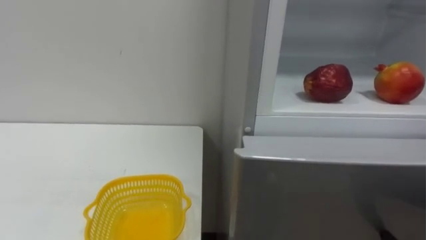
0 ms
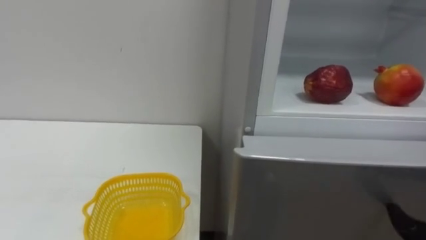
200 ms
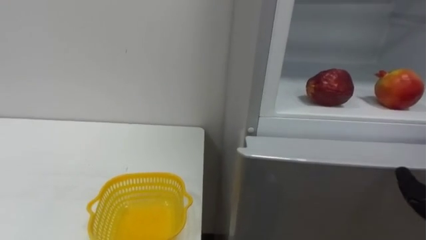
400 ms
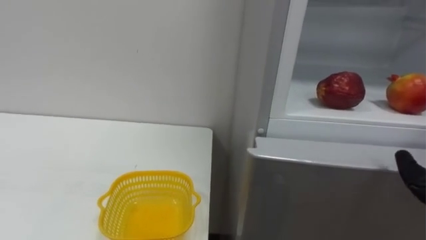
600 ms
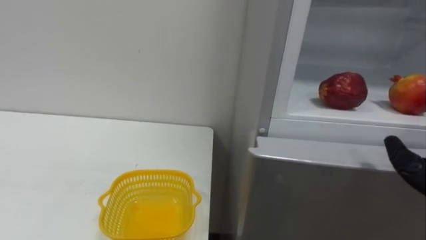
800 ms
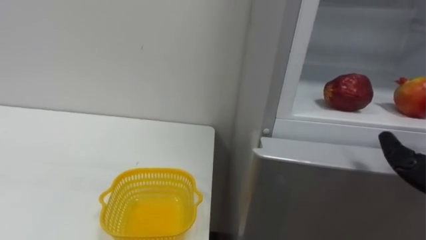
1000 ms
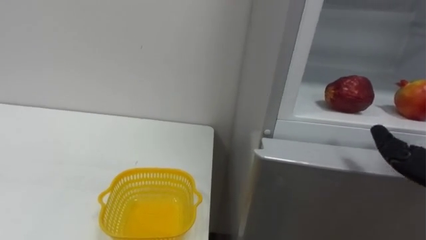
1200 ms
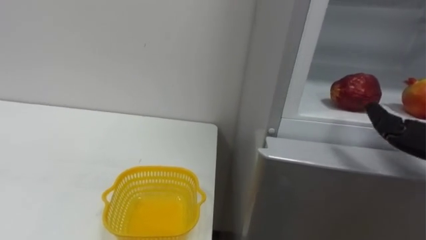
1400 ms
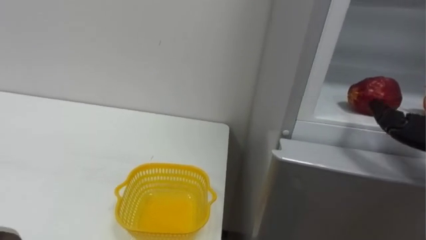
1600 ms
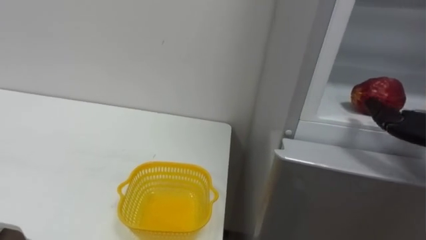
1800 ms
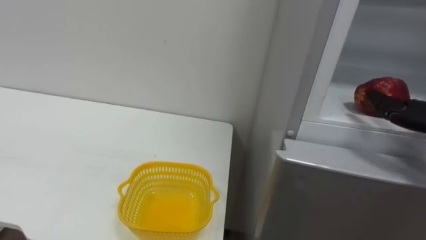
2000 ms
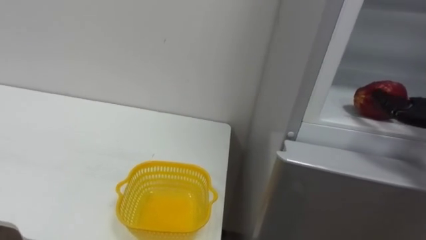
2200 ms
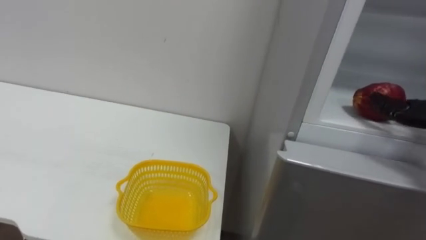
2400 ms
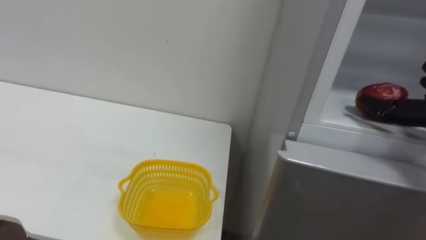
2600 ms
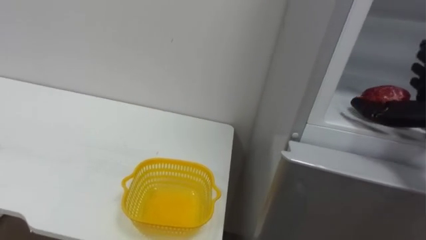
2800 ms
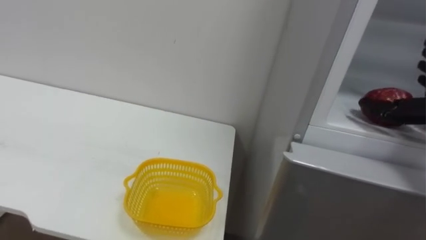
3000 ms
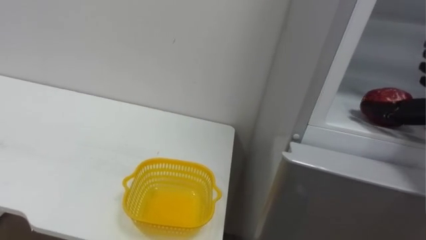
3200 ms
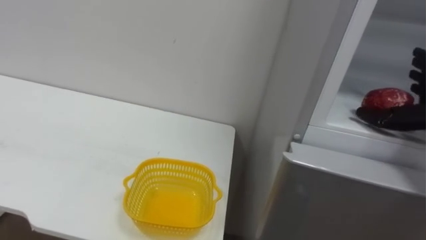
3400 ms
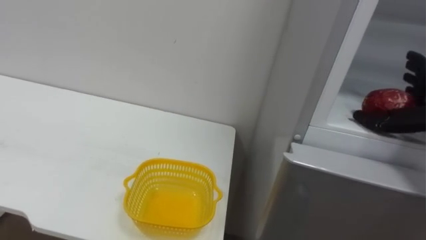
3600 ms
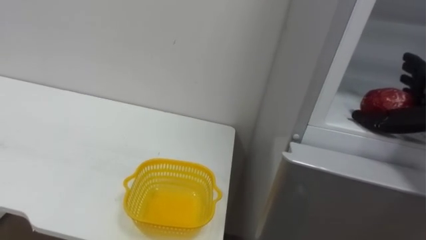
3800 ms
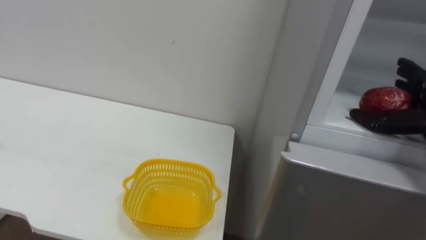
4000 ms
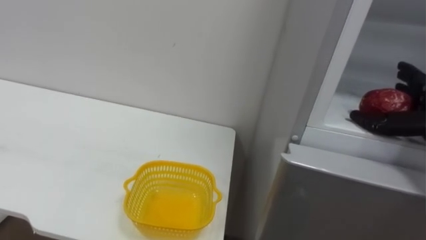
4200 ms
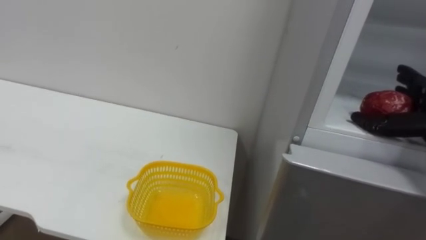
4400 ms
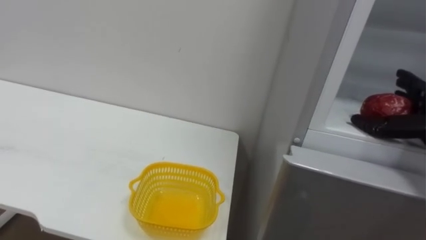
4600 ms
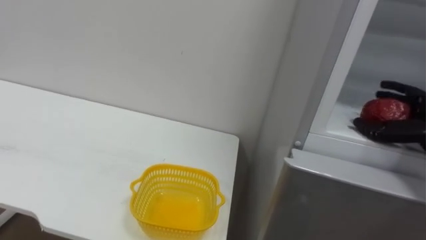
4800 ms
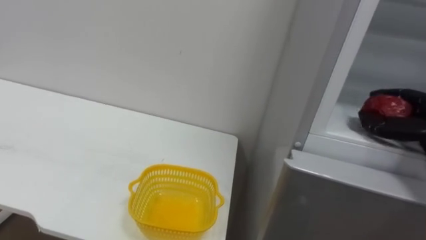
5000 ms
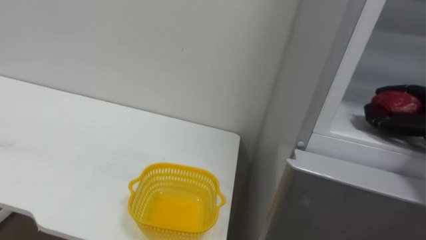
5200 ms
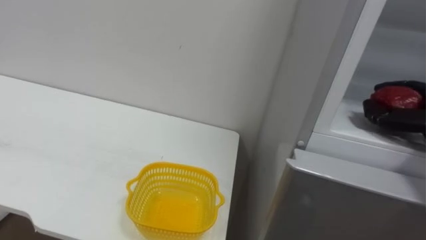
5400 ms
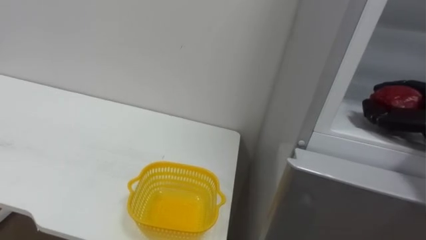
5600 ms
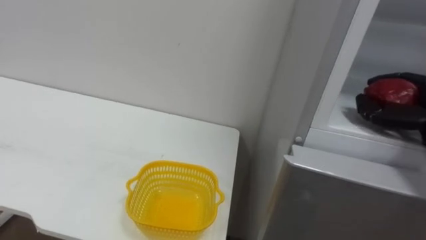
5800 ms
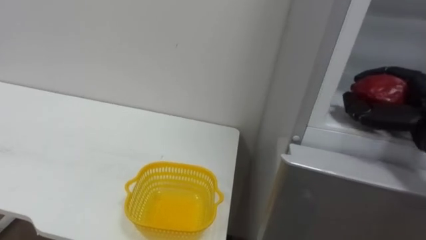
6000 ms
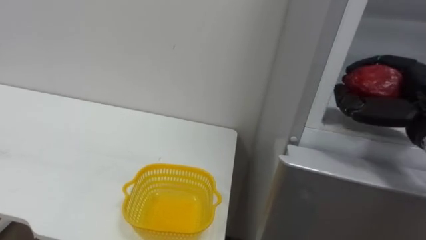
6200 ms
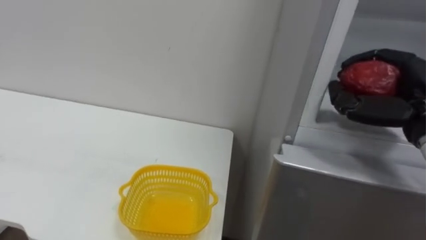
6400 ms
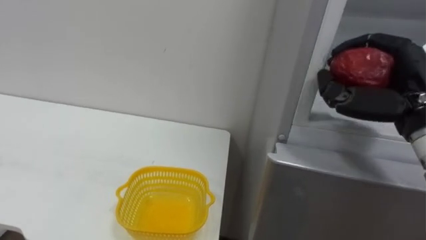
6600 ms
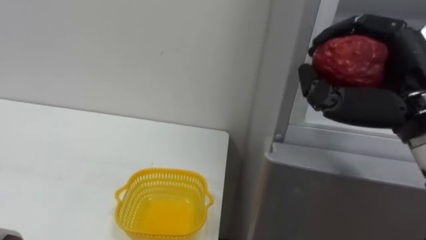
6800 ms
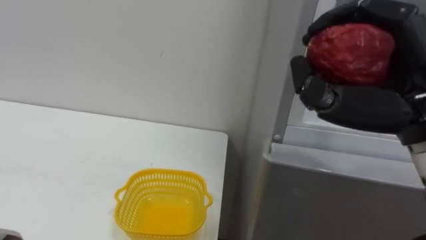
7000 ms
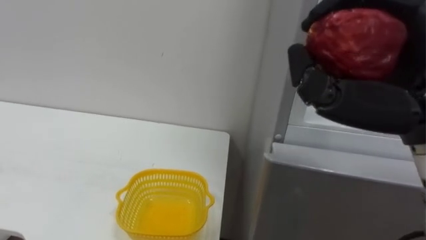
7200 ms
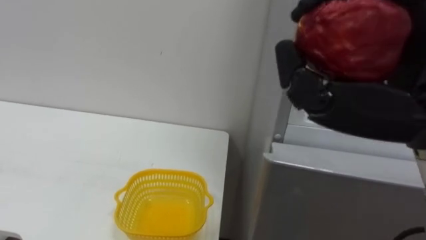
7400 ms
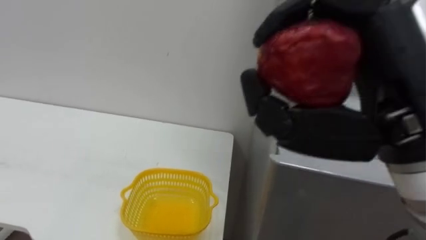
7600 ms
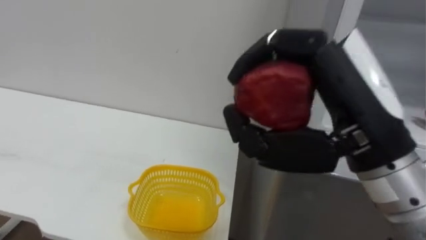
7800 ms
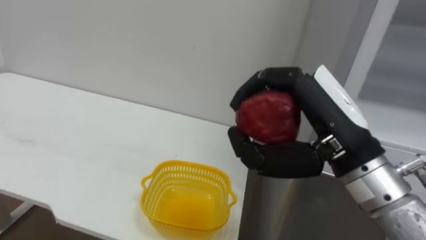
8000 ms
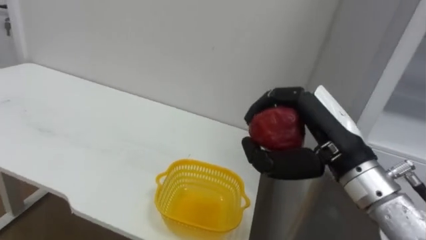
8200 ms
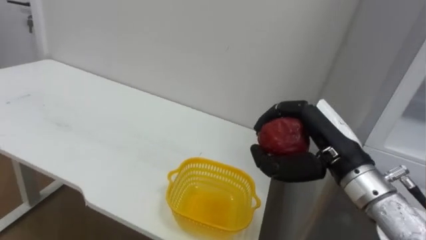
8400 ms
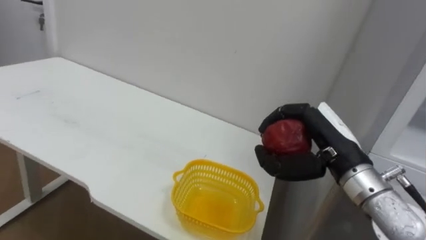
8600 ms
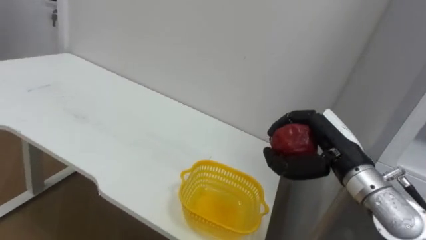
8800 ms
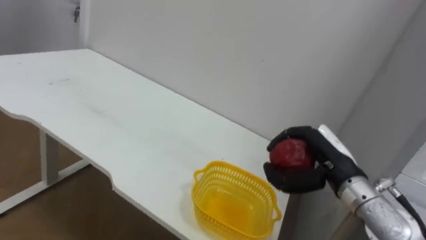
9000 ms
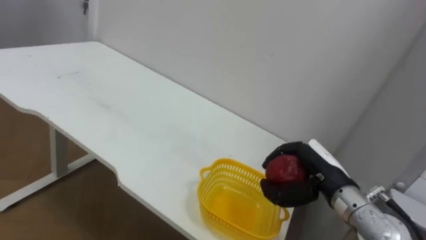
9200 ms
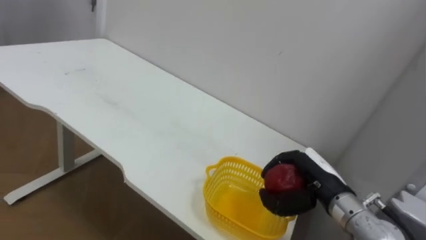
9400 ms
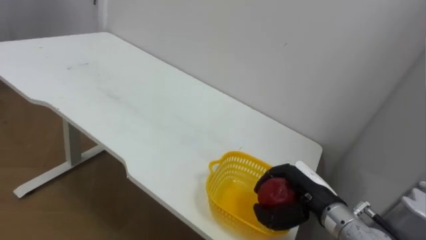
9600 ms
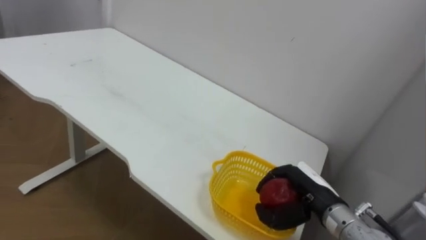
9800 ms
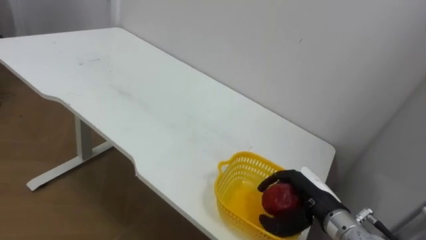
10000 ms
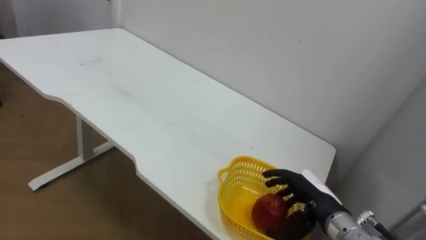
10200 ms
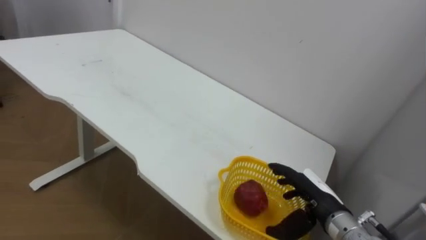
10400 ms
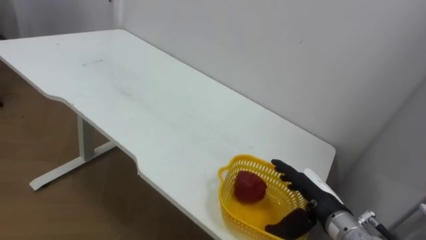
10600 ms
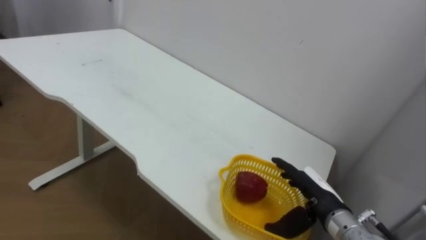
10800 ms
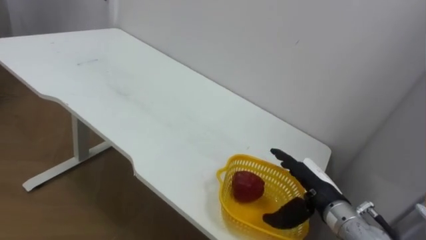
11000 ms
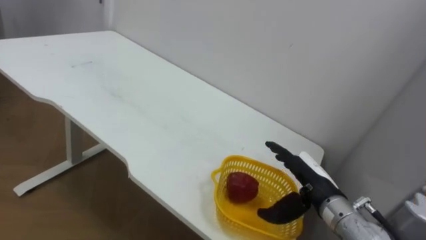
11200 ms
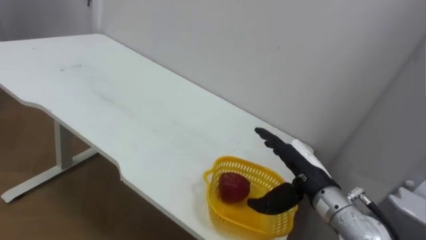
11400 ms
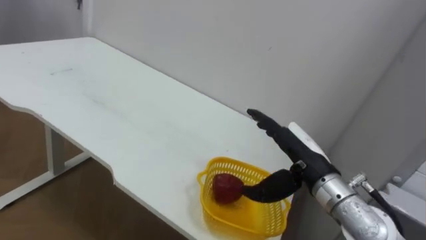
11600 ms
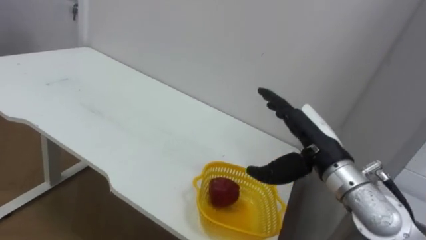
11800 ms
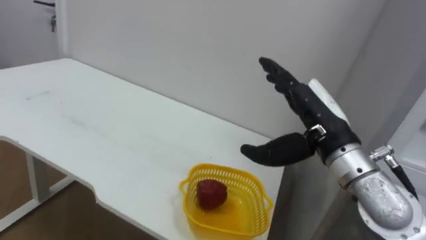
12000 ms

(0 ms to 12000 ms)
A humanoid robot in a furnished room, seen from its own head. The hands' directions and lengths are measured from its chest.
Task of the whole recording: Open the refrigerator door, take out the apple and the pomegranate, place them in the fruit basket on the left, and close the refrigerator door.
6000 ms - 7600 ms: The right hand moves to the left, backward and upward, about 25 cm.
7600 ms - 9000 ms: The right hand travels downward and forward by approximately 25 cm.
9000 ms - 10400 ms: The right hand shifts roughly 10 cm downward, and opens up.
10400 ms - 12000 ms: The right hand is displaced upward by approximately 15 cm.

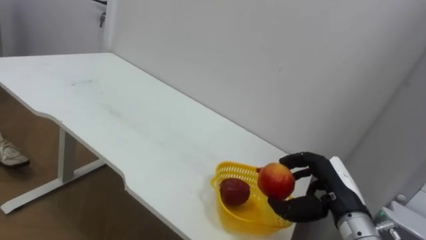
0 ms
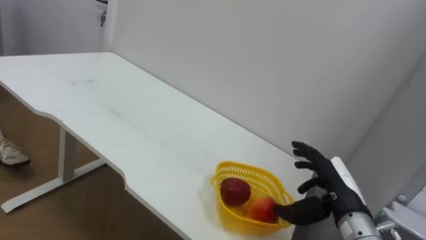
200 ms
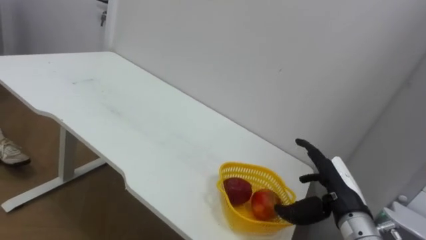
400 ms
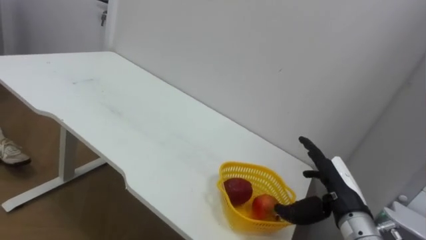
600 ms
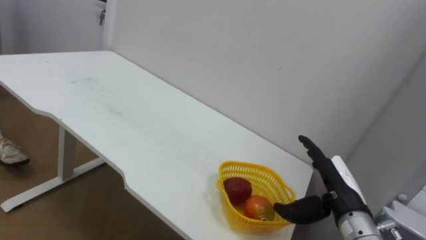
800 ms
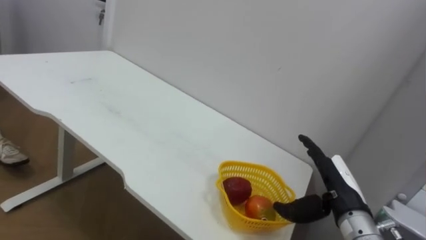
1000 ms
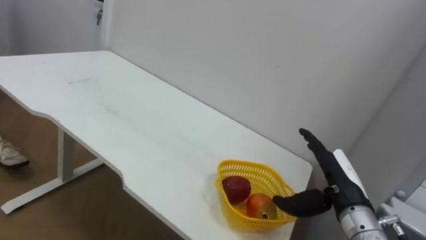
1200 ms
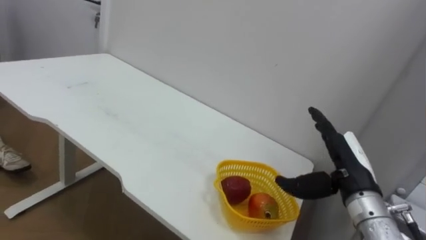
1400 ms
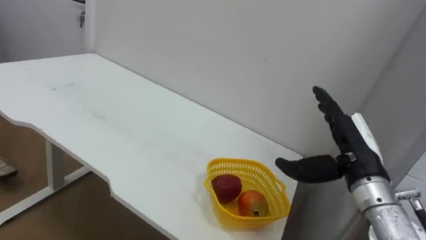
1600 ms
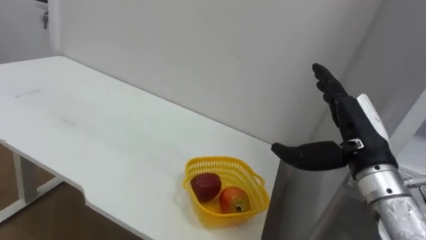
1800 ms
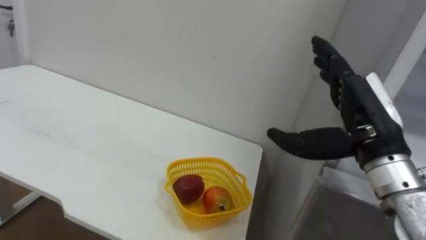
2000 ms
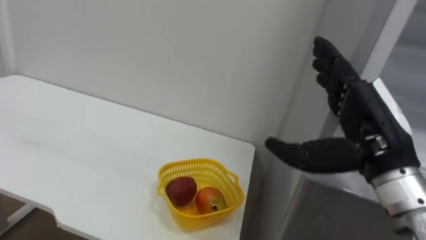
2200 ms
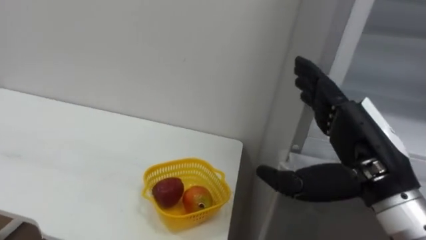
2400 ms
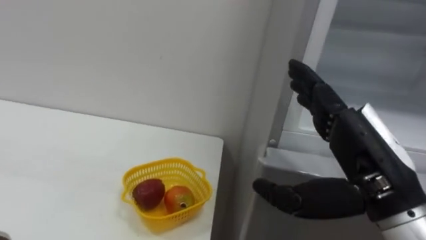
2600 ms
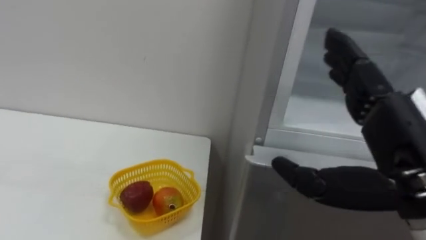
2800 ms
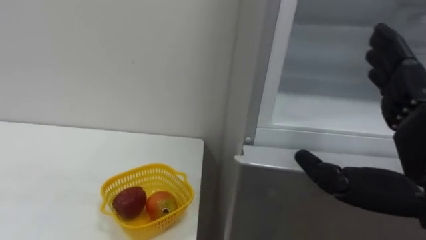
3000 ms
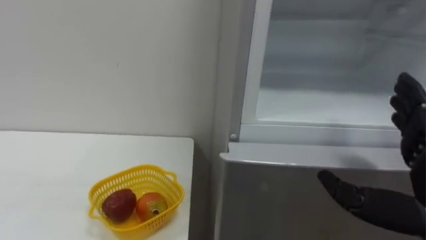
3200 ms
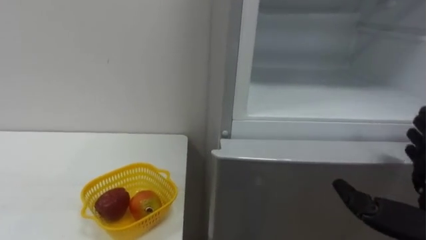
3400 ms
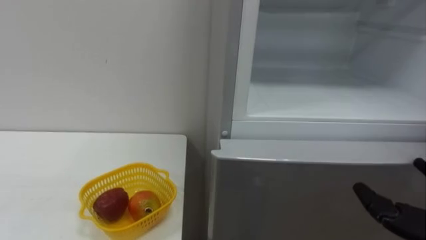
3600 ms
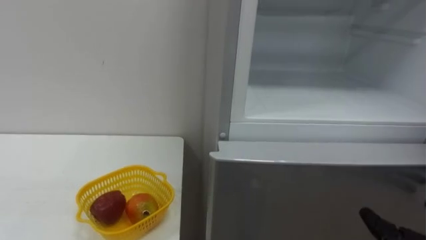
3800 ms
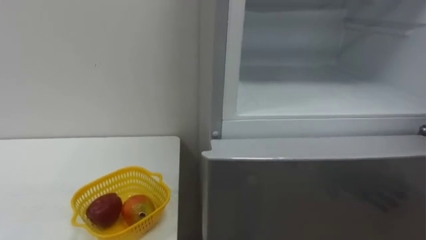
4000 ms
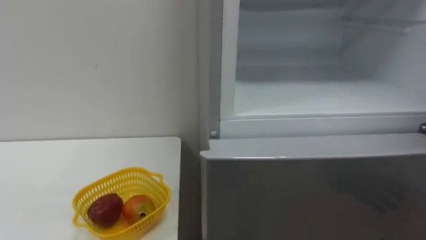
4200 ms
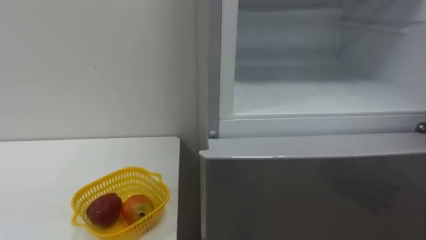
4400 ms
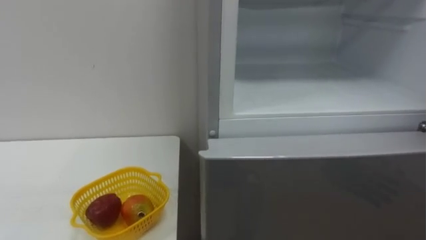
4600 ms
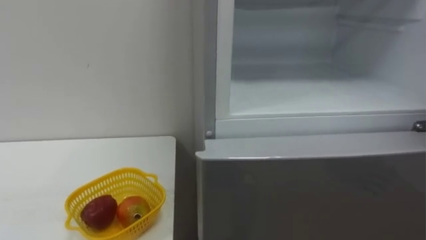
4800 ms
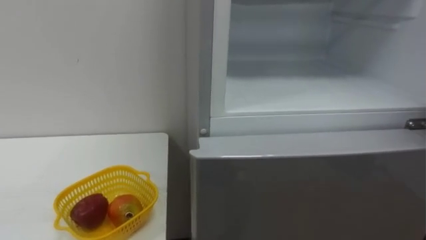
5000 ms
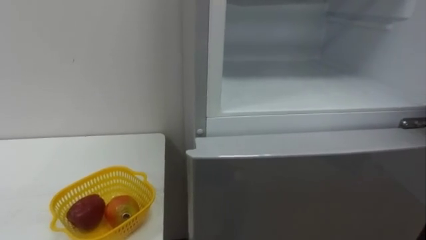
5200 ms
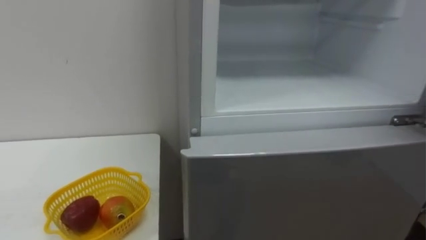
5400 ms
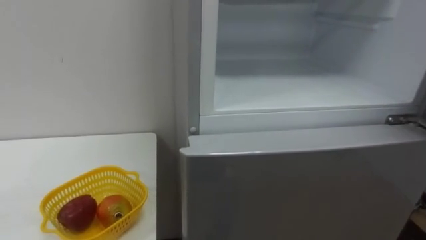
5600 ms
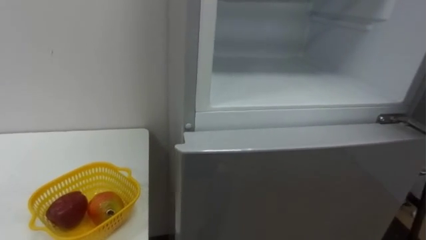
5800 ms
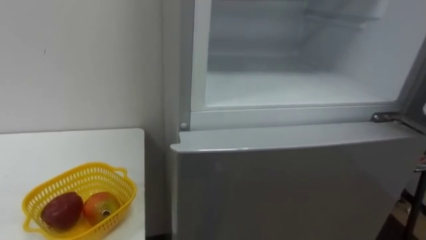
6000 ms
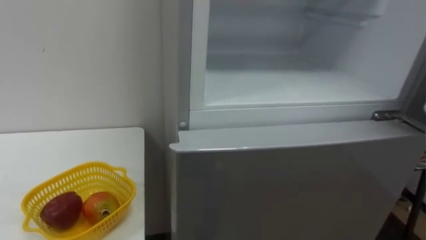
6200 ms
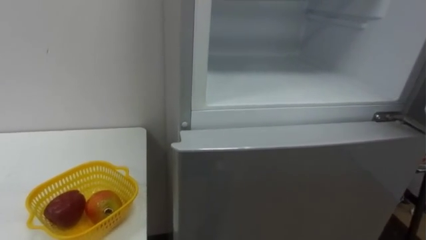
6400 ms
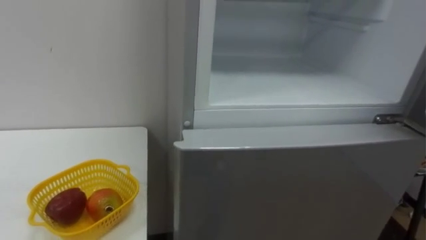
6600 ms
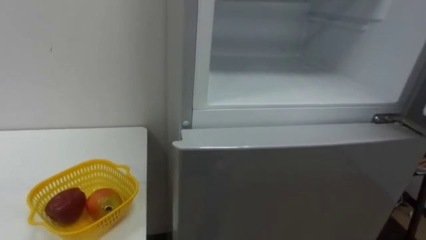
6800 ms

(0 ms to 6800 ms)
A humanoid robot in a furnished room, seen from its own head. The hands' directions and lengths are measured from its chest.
Task of the whole recording: Open the refrigerator door, take out the apple and the pomegranate, place them in the fruit basket on the left, and close the refrigerator door.
0 ms - 1400 ms: The right hand opens.
1400 ms - 2800 ms: The right hand shifts approximately 15 cm upward and backward.
